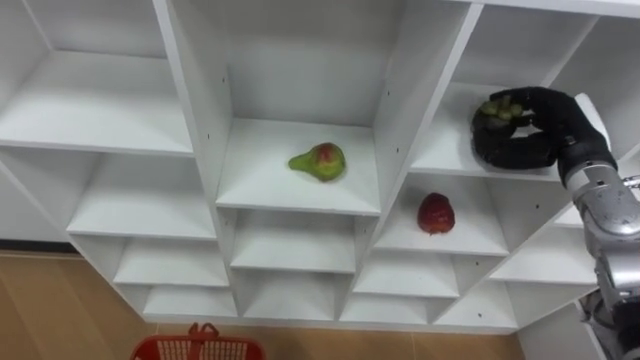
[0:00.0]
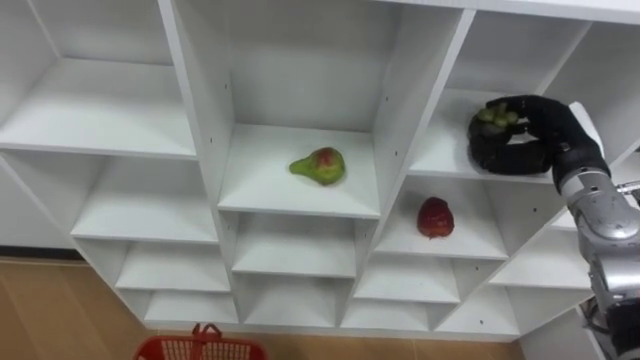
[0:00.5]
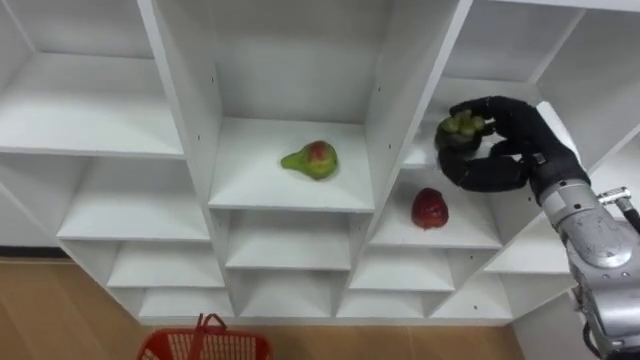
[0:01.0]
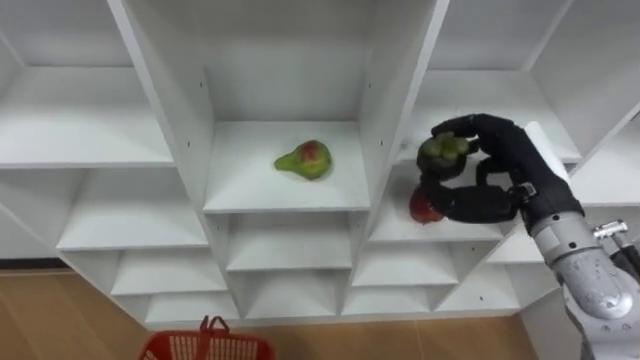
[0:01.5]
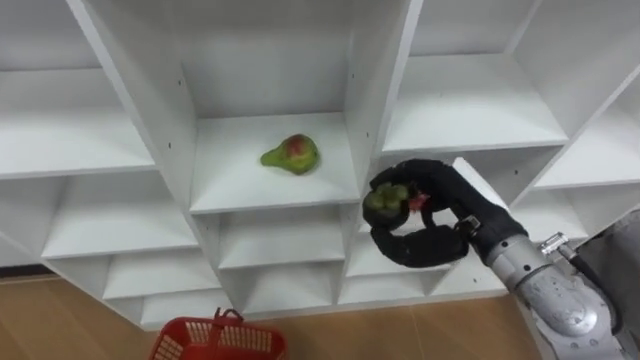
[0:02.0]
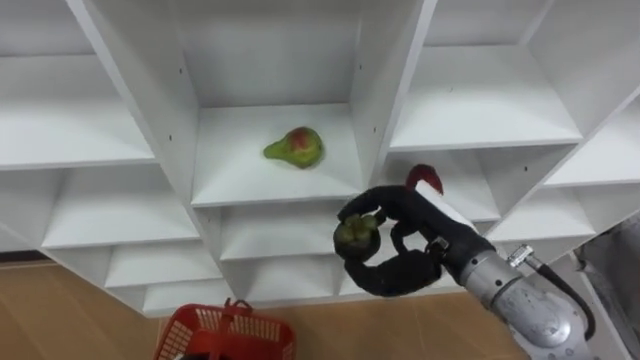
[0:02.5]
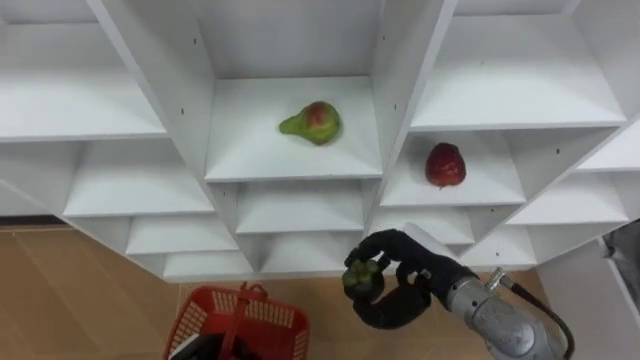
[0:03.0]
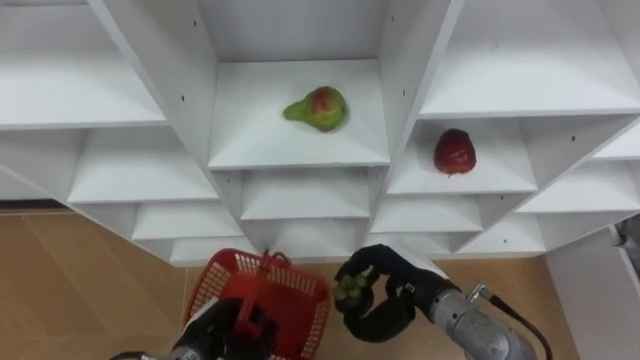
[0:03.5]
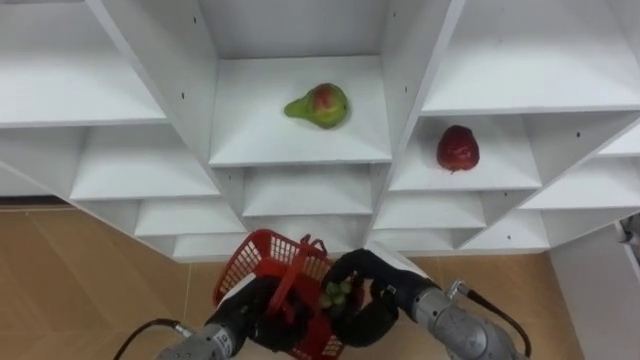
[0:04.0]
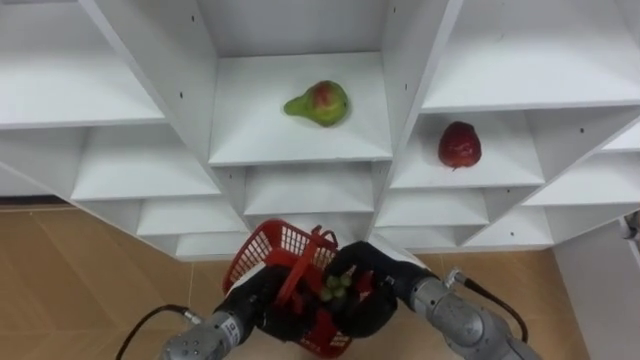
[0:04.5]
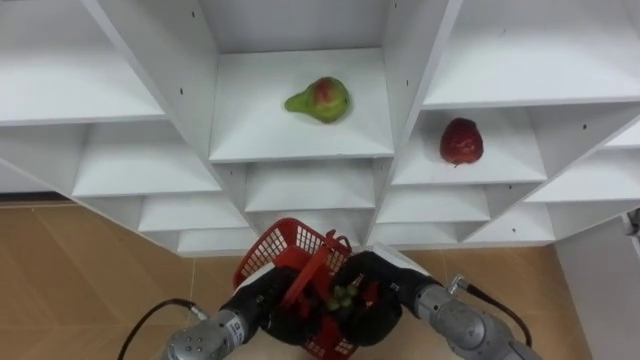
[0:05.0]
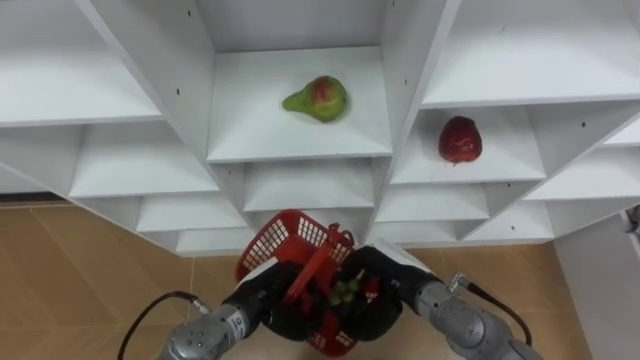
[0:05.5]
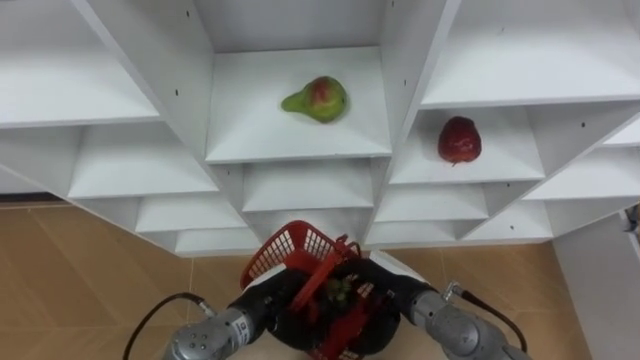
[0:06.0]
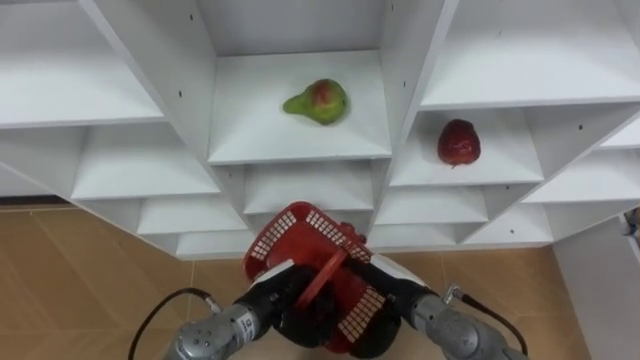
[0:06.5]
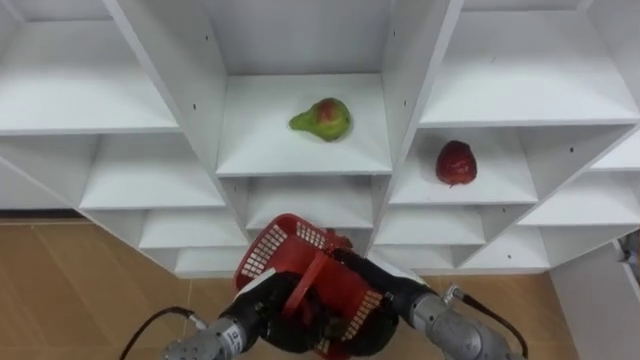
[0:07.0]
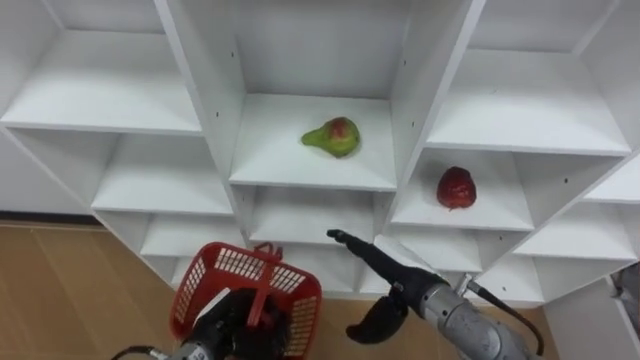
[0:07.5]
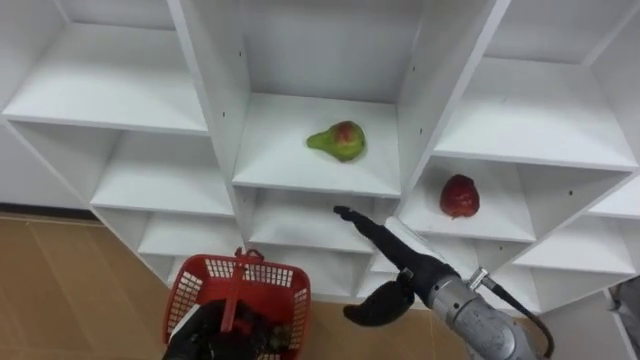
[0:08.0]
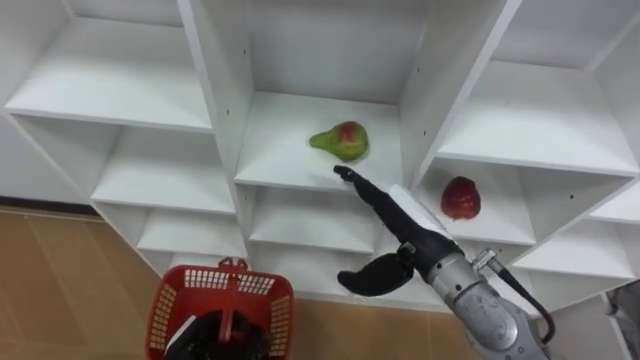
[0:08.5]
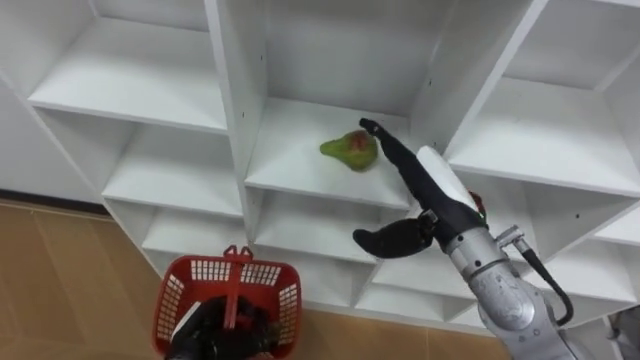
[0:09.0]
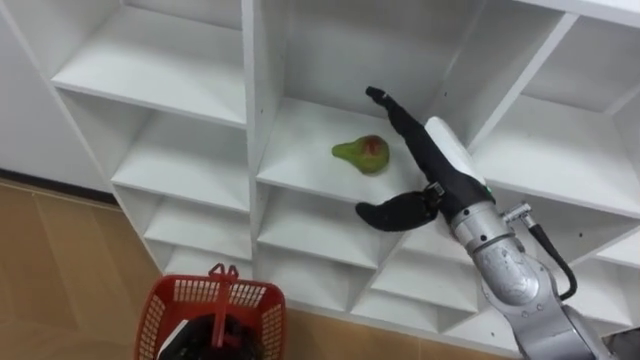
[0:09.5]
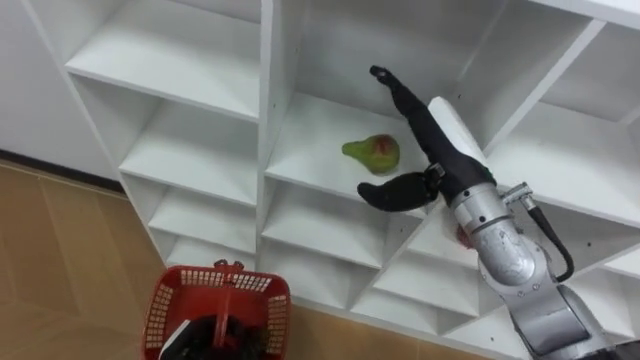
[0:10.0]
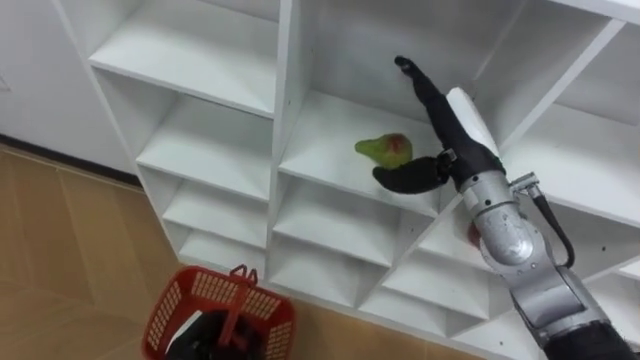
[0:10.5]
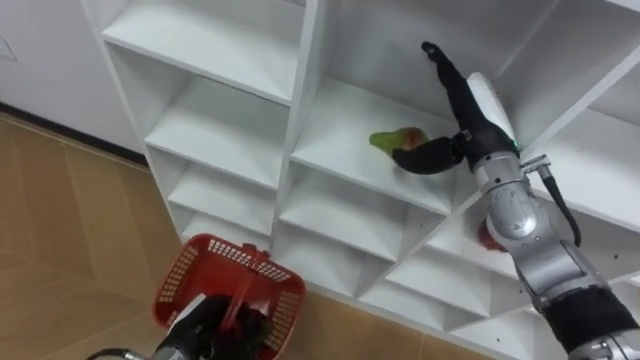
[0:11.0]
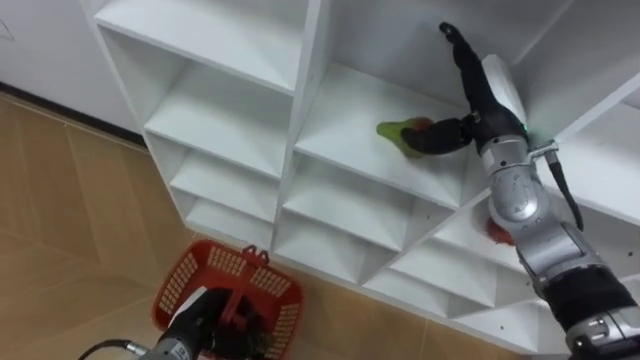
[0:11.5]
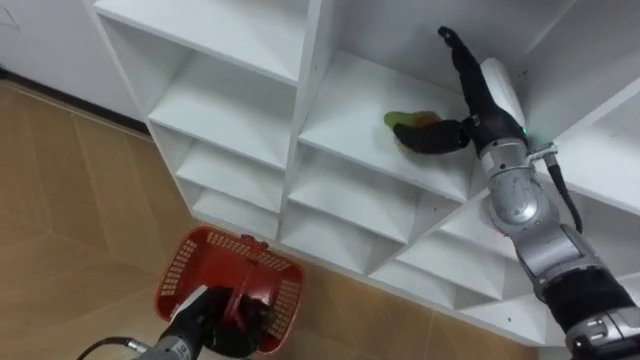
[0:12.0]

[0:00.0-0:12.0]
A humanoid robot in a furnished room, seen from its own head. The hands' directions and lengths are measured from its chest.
Task of the whole recording: Hold the basket and collect the fruits from 3 different cells of the closet into it.
0:00.0 to 0:02.0: The right hand is displaced to the left and backward by roughly 15 cm.
0:02.0 to 0:04.0: The right hand moves downward and to the left, about 15 cm.
0:04.0 to 0:06.0: There are only small adjustments of the hands.
0:06.0 to 0:08.0: The right hand shifts some 5 cm upward. Meanwhile the left hand shifts some 10 cm to the left.
0:08.0 to 0:10.0: The right hand shifts some 15 cm upward and forward.
0:10.0 to 0:12.0: The right hand shifts roughly 10 cm forward and to the right.

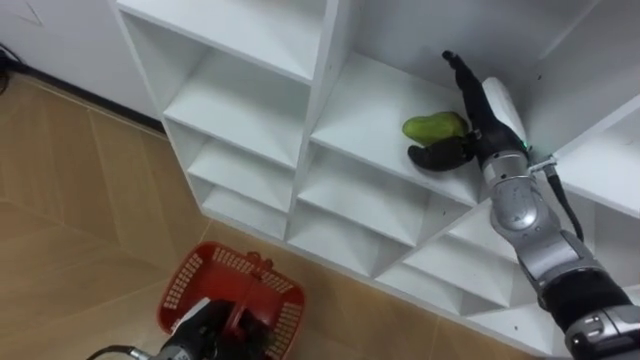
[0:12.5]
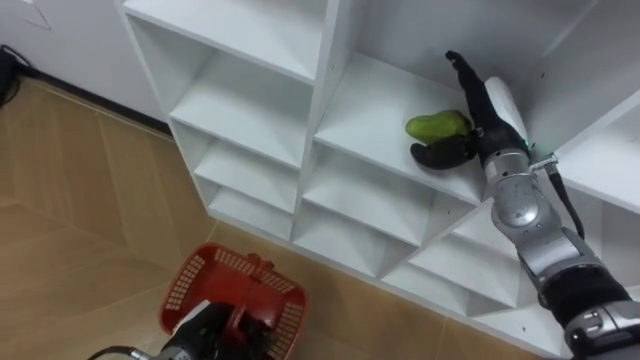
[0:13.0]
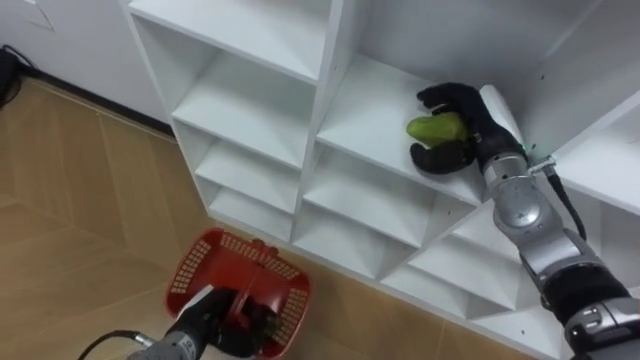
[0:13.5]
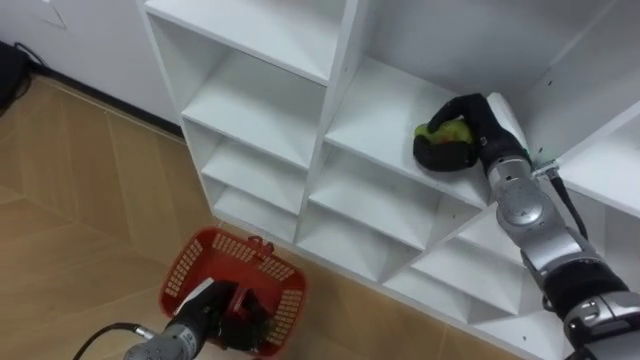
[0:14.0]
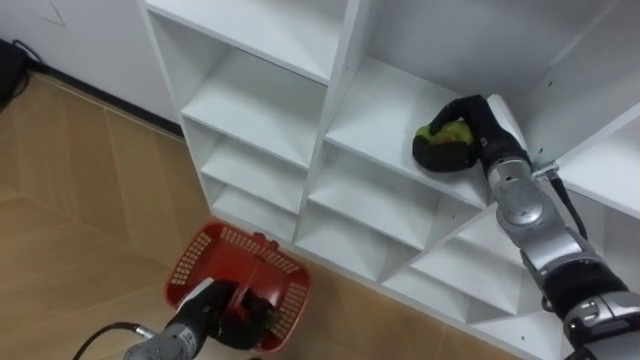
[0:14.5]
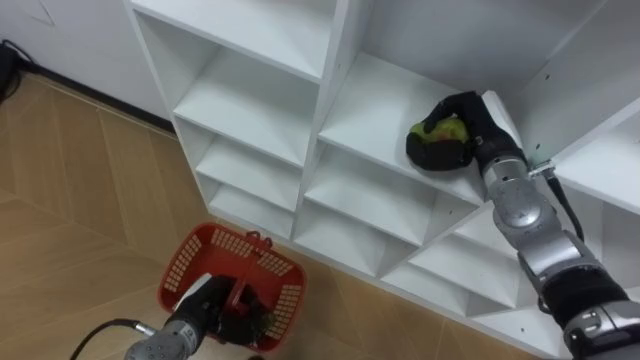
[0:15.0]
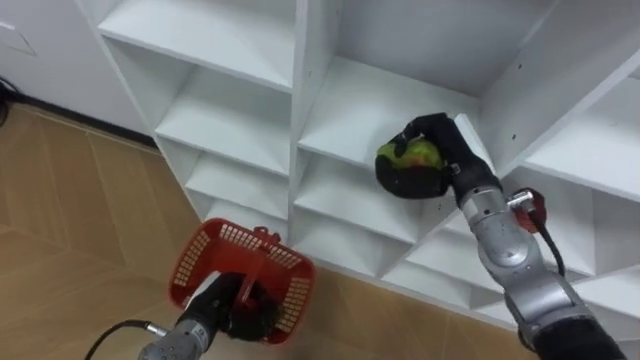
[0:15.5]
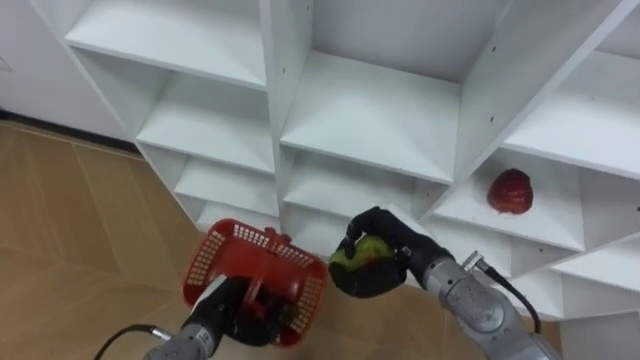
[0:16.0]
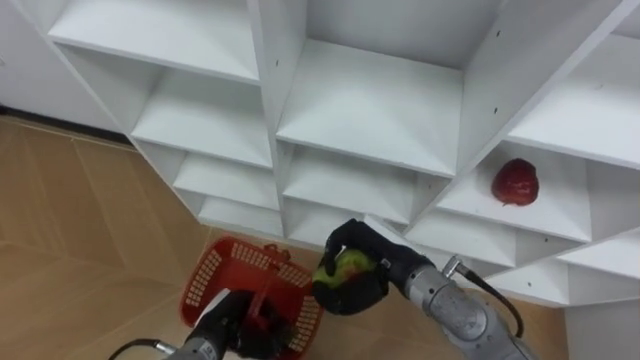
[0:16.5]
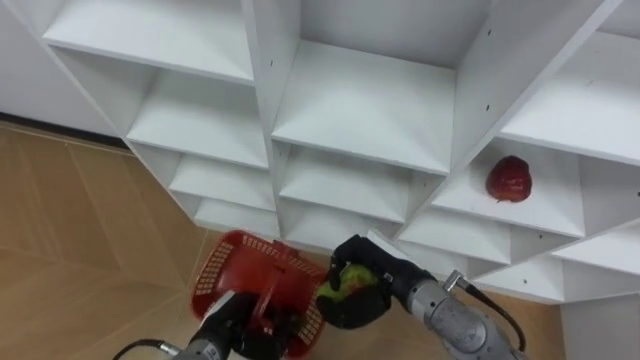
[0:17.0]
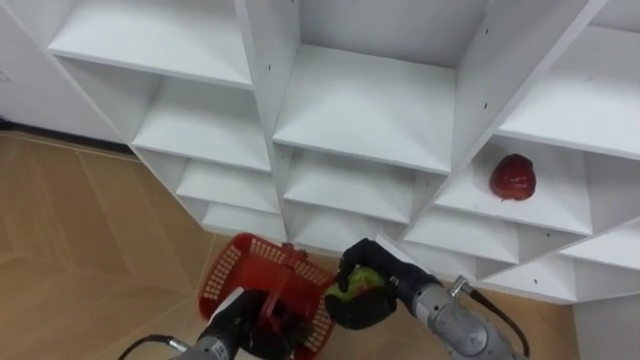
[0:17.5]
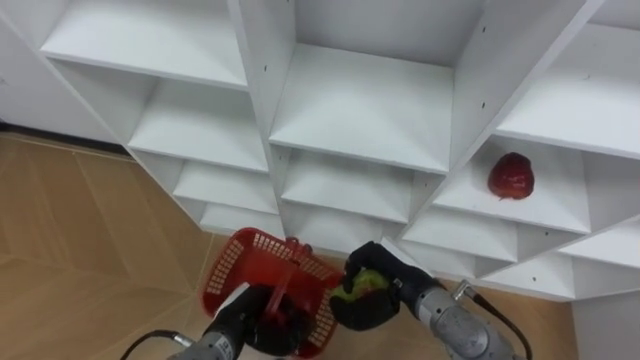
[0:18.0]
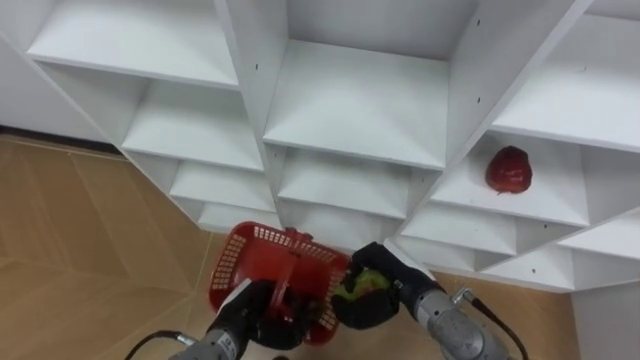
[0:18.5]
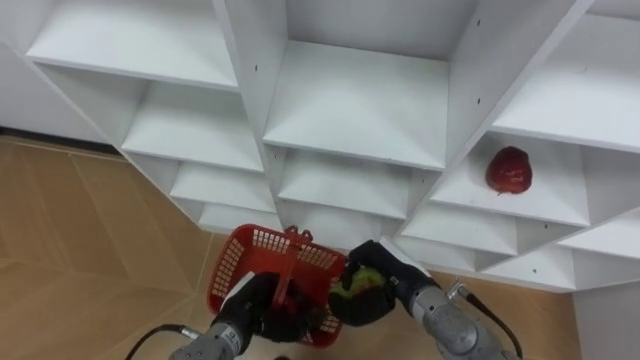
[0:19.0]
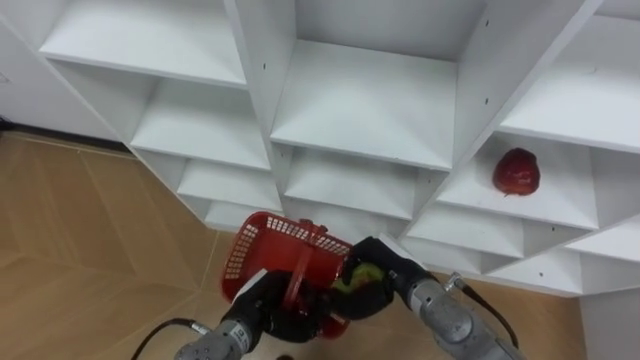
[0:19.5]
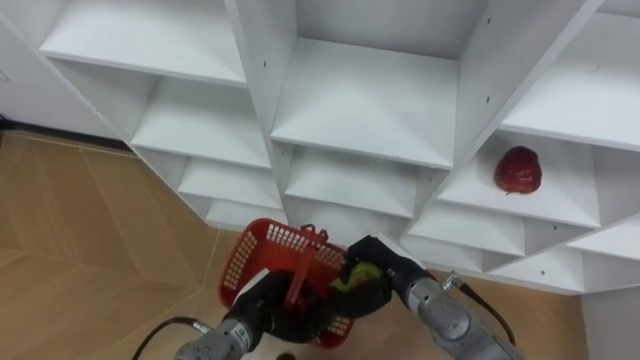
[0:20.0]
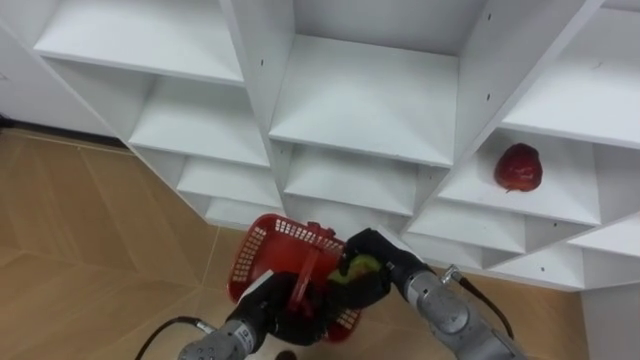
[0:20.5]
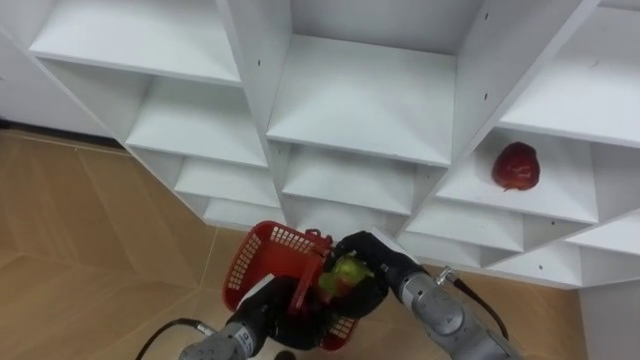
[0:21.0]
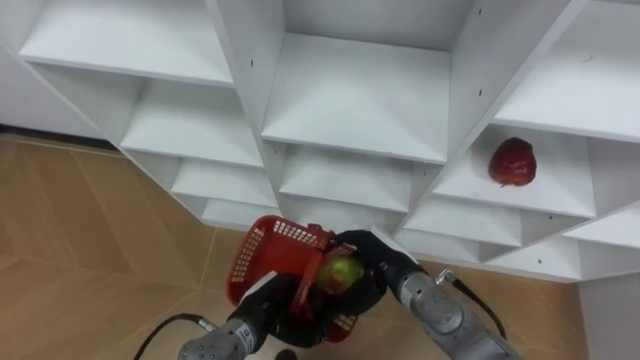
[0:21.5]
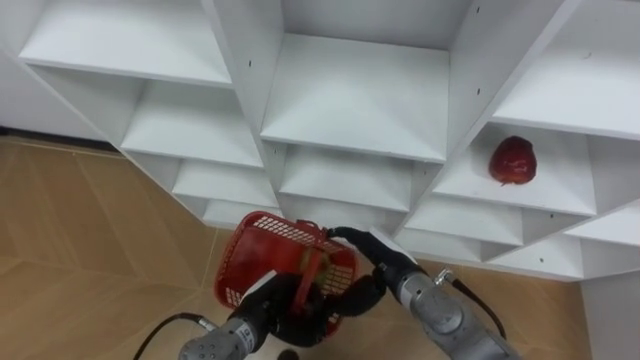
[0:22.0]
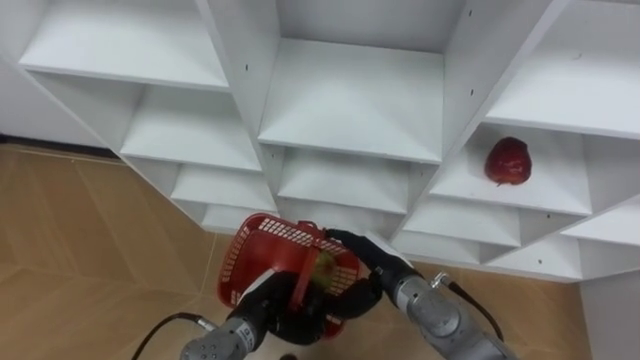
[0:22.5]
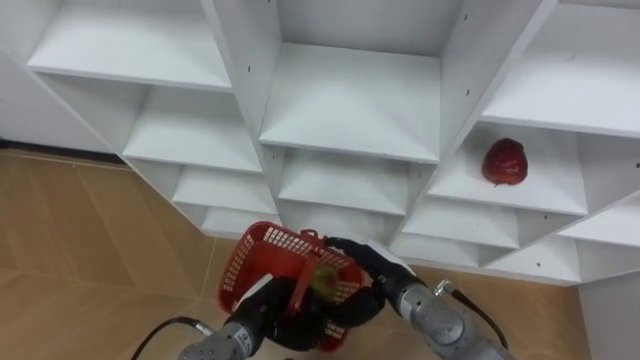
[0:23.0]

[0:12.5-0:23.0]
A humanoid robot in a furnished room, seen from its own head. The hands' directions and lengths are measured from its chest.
Task of the whole recording: Hold the basket and collect the fruits from 3 different cells of the closet into it.
0:12.5 to 0:14.5: The right hand closes.
0:14.5 to 0:16.5: The right hand is displaced to the left, backward and downward by approximately 20 cm.
0:16.5 to 0:19.0: The right hand travels downward by approximately 5 cm.
0:19.0 to 0:21.0: The hands stay close to where they were, moving slightly.
0:21.0 to 0:23.0: The right hand opens.
